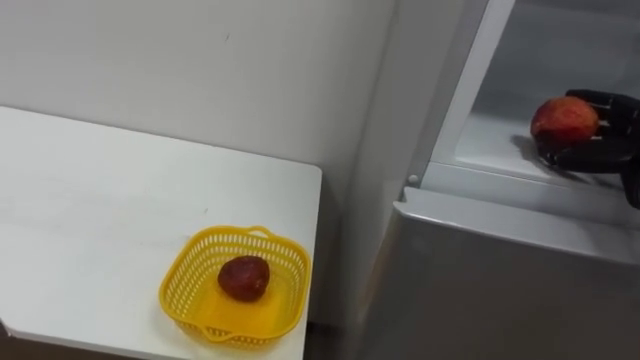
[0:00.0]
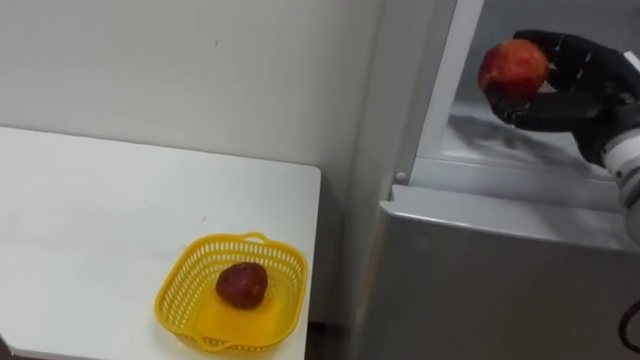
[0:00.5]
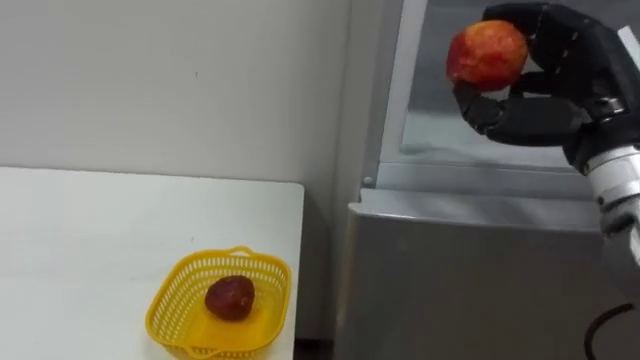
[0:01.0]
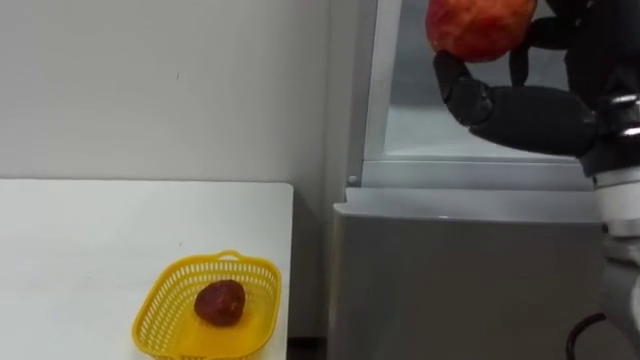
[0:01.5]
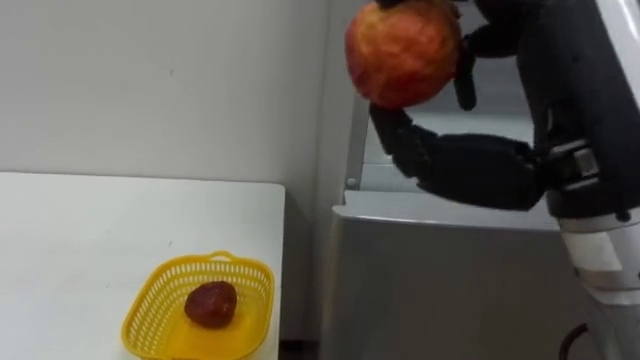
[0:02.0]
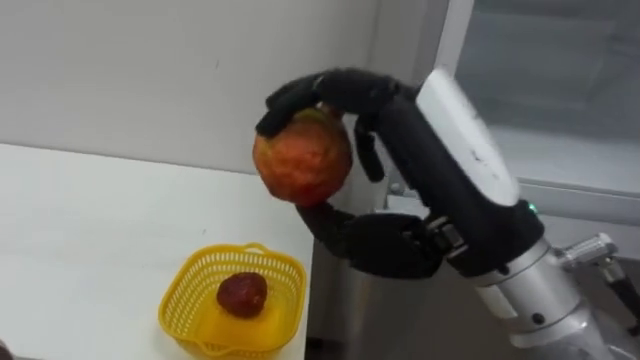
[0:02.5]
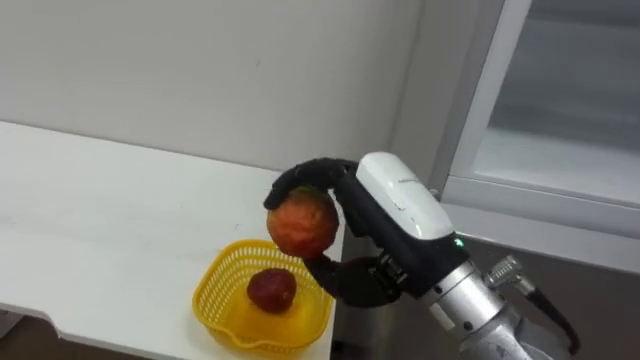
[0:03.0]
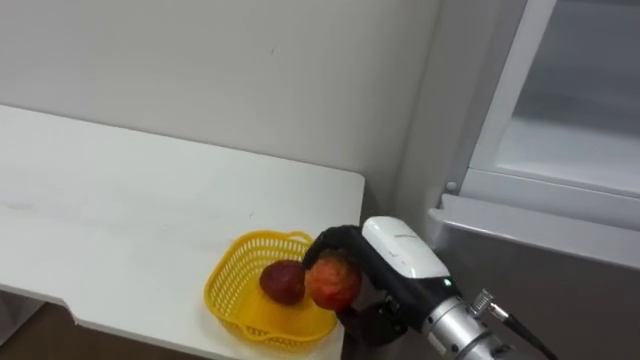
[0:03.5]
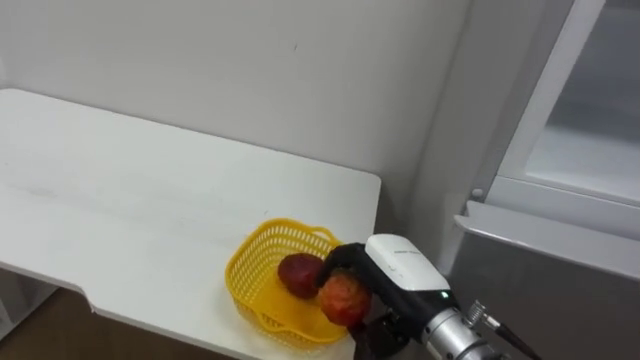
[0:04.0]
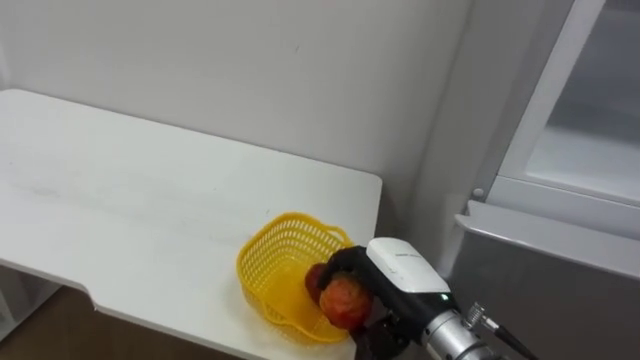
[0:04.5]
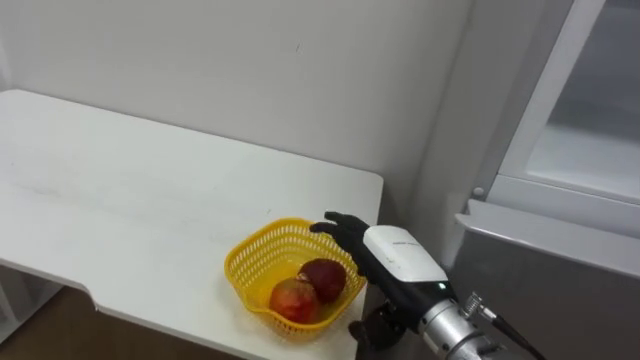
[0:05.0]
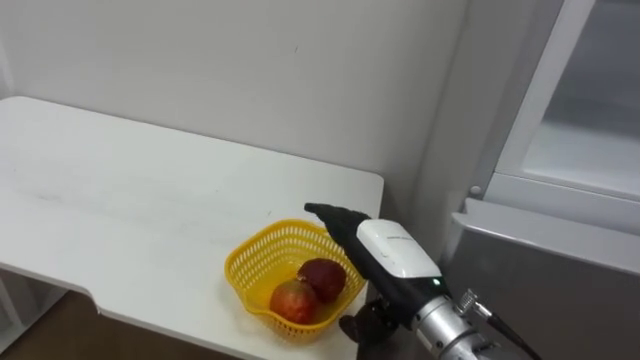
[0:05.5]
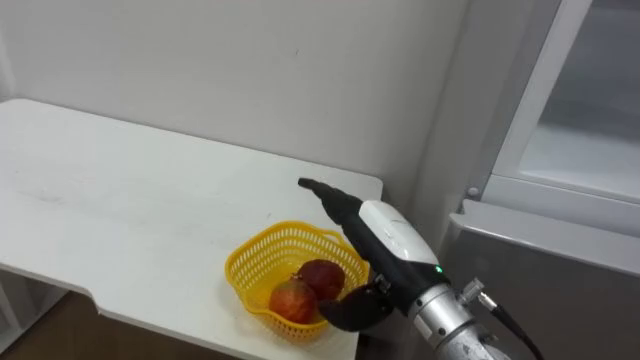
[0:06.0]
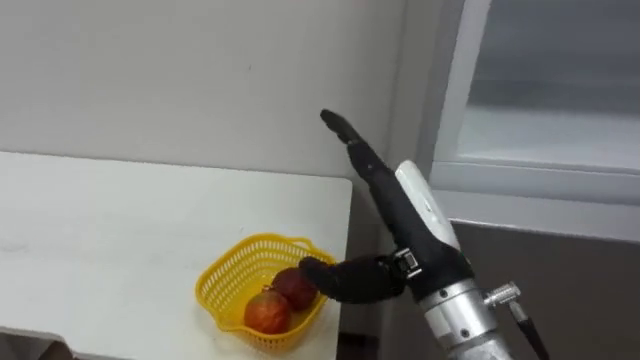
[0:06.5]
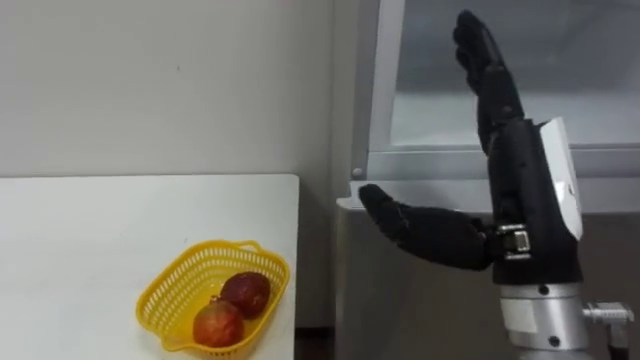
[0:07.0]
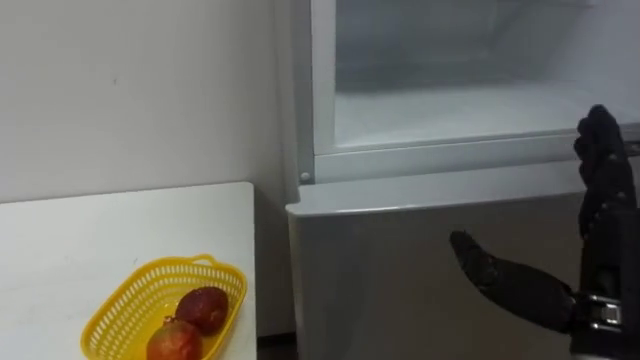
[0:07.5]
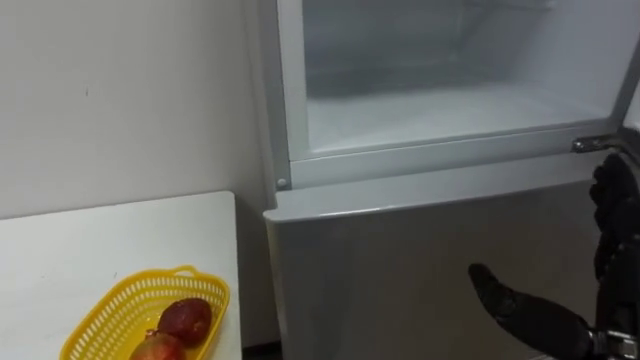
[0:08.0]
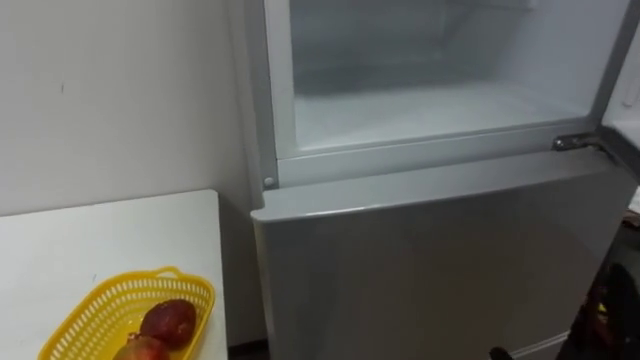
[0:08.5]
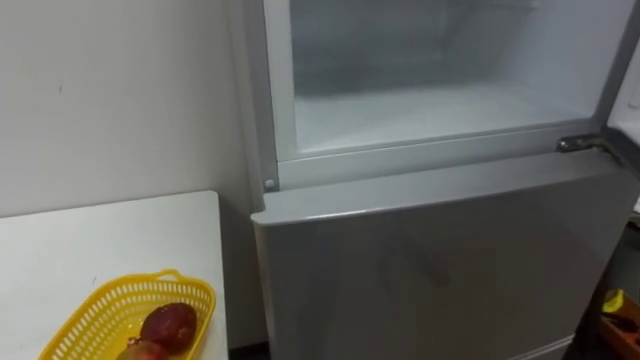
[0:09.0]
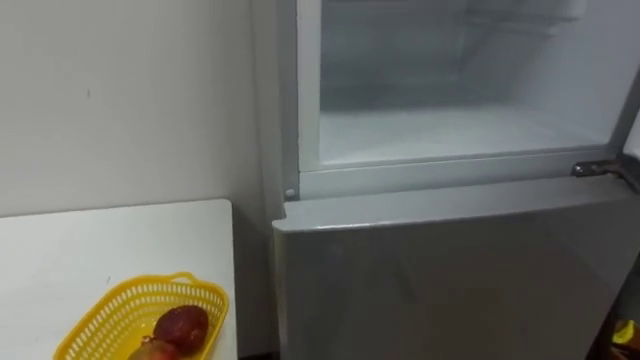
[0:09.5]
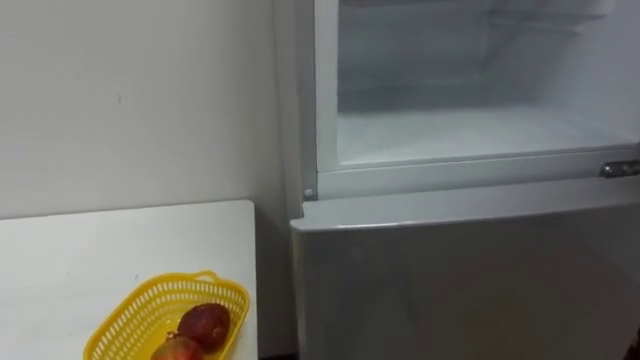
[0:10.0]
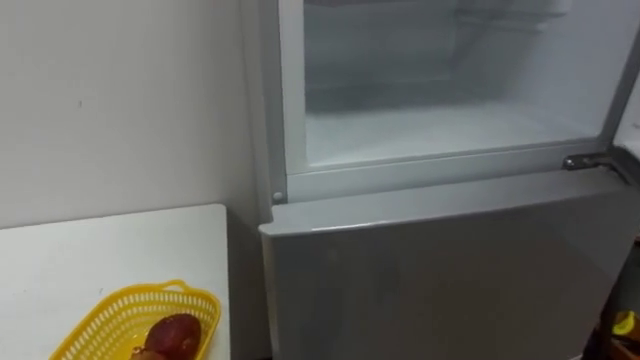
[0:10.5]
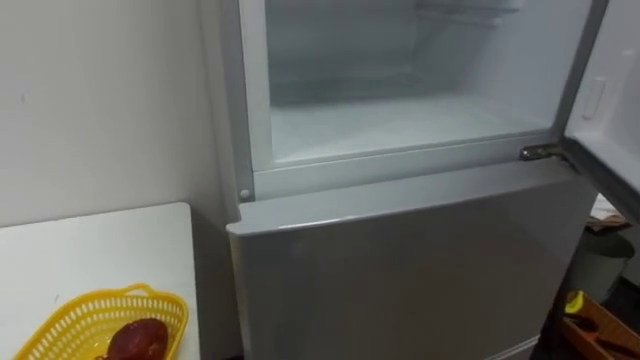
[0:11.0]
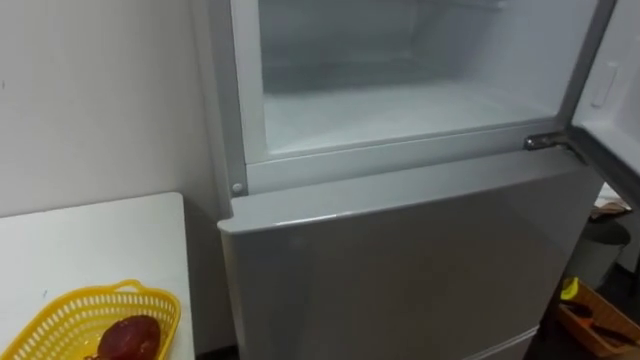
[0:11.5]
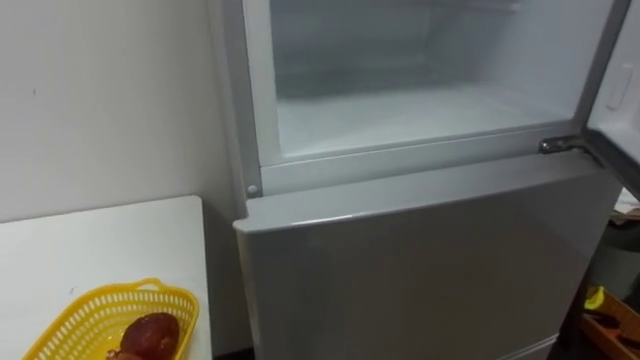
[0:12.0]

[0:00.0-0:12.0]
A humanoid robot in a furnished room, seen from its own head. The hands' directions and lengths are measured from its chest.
Task of the whole recording: Open the refrigerator door, take out the apple and the pomegranate, place them in the fruit basket on the left, and close the refrigerator door.
0:00.0 to 0:02.0: The right hand moves to the left, backward and upward, about 30 cm.
0:02.0 to 0:04.0: The right hand shifts approximately 25 cm downward and forward.
0:04.0 to 0:06.0: The right hand opens its fingers.
0:06.0 to 0:08.0: The right hand moves to the right and backward, about 20 cm.

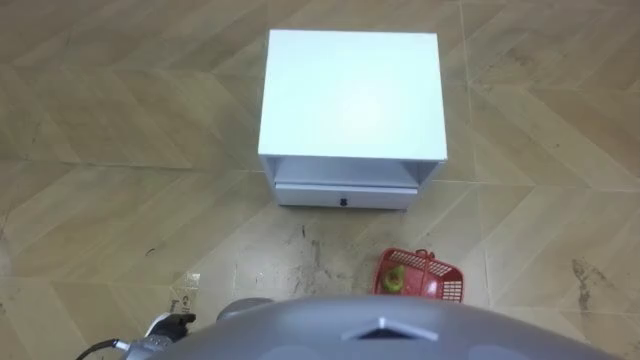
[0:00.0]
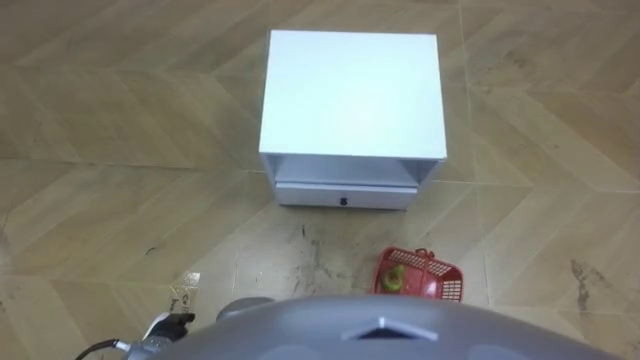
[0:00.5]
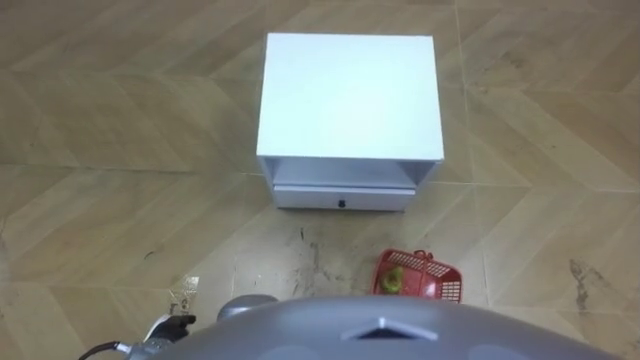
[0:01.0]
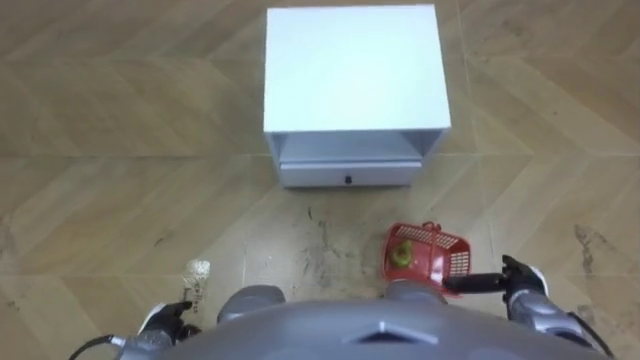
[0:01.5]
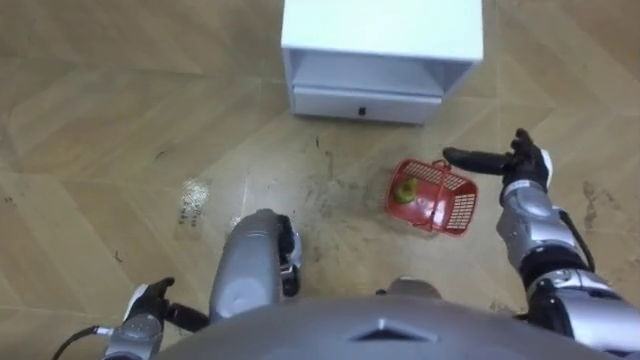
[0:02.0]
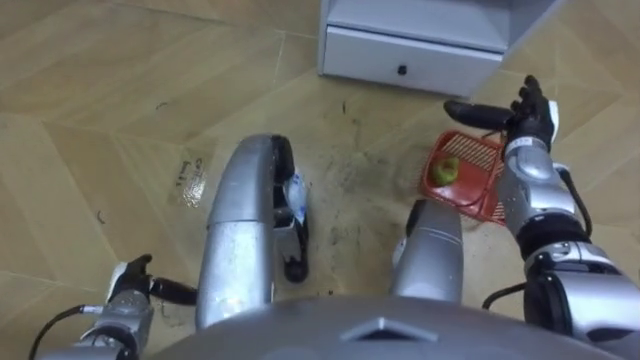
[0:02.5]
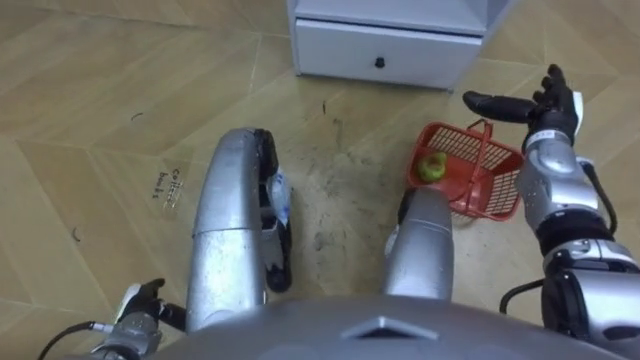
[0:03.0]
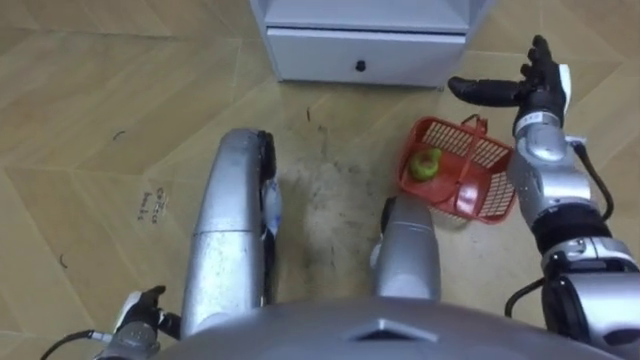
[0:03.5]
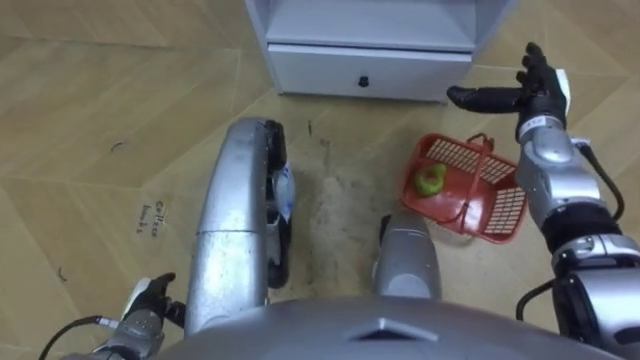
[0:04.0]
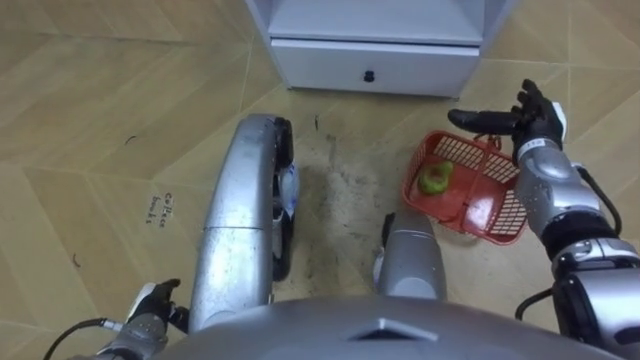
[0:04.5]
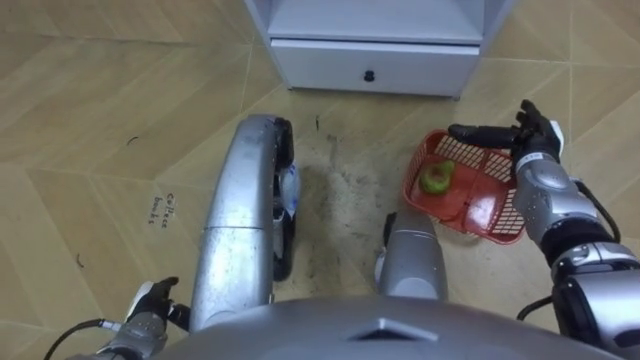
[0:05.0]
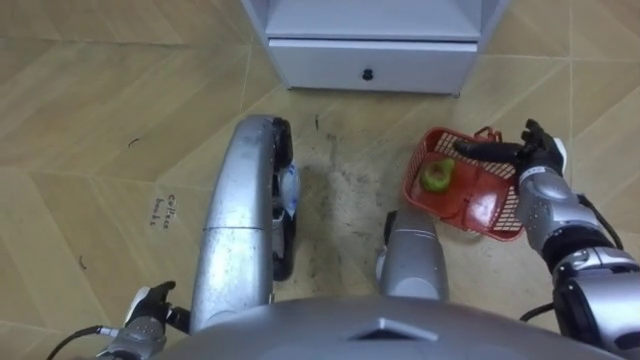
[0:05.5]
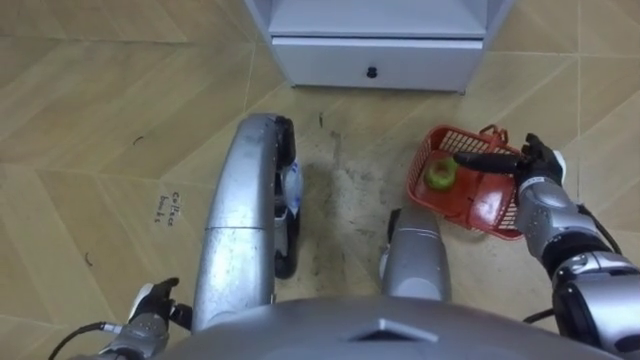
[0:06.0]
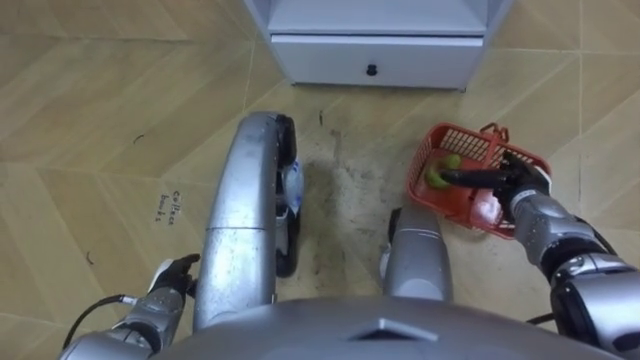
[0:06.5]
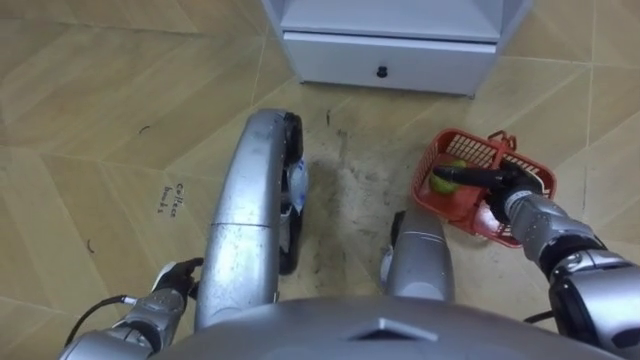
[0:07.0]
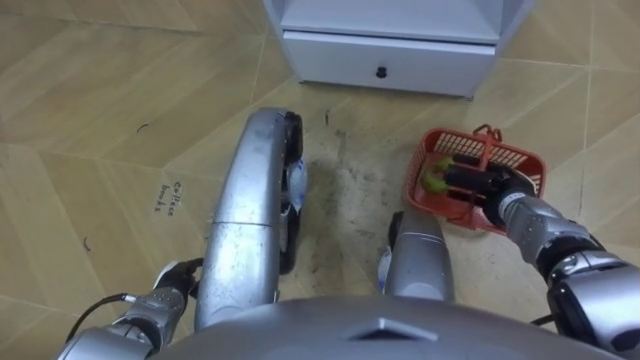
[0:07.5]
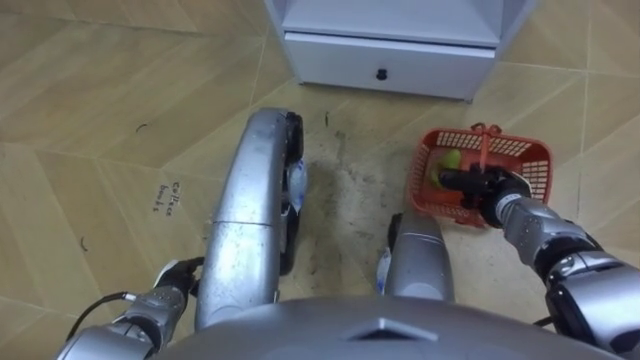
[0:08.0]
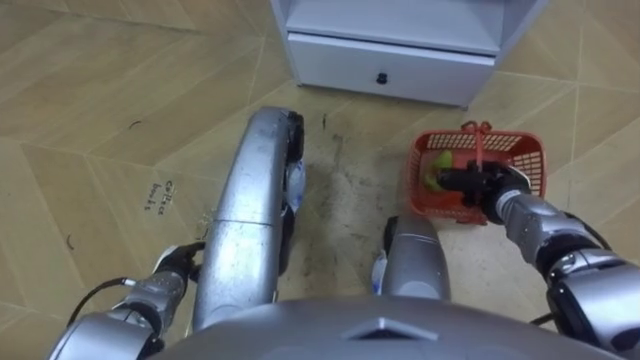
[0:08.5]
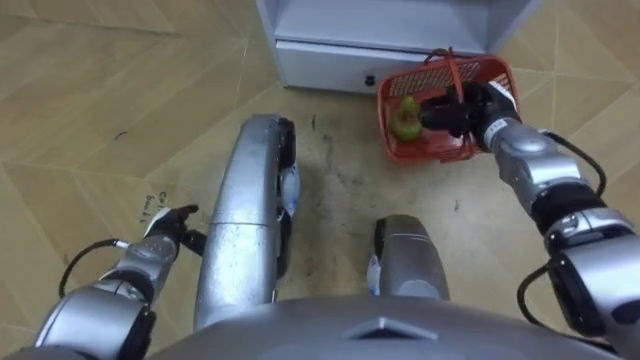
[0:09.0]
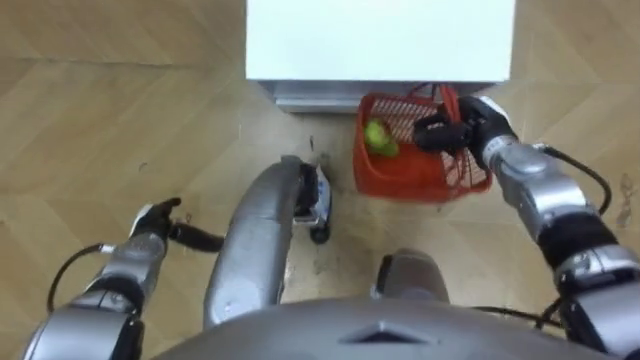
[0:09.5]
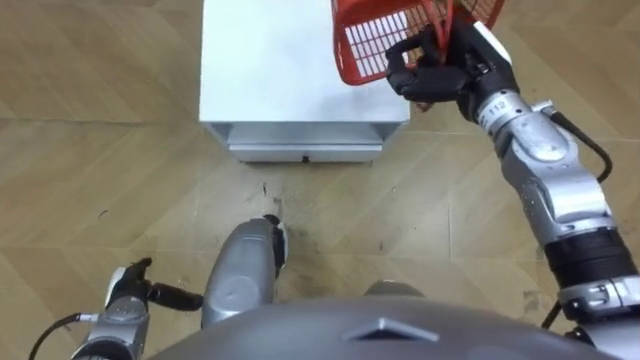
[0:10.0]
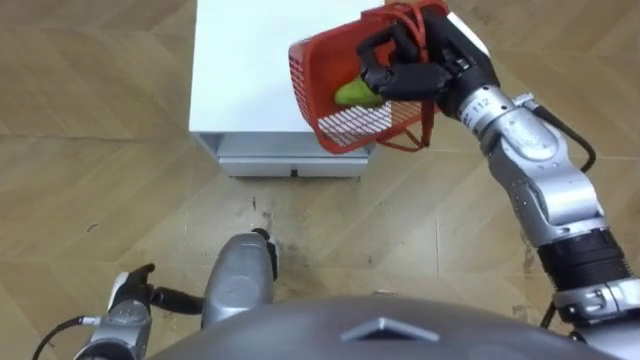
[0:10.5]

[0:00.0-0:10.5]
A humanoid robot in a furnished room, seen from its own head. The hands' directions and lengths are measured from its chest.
Task of the whole recording: Pick up the fruit basket from the floor and place it on the cabinet.
0:02.0 to 0:04.0: The right hand is displaced forward and upward by some 10 cm.
0:04.0 to 0:06.5: The right hand moves backward and downward, some 15 cm.
0:06.5 to 0:08.5: The right hand closes its fingers.
0:08.5 to 0:10.5: The right hand is displaced upward, to the left and forward by about 25 cm; the left hand travels to the left by approximately 5 cm.
